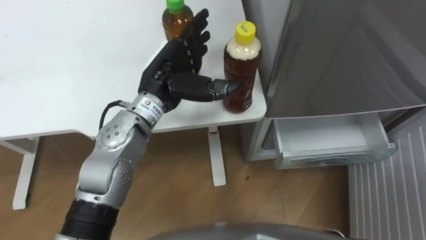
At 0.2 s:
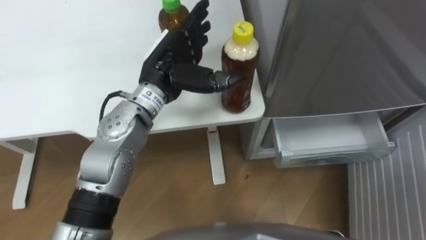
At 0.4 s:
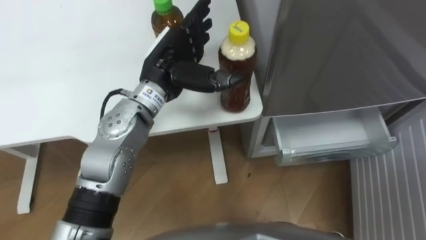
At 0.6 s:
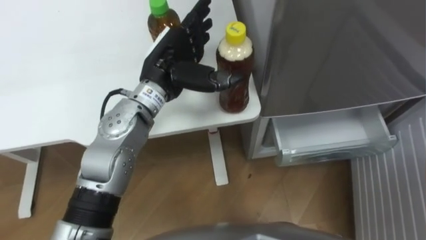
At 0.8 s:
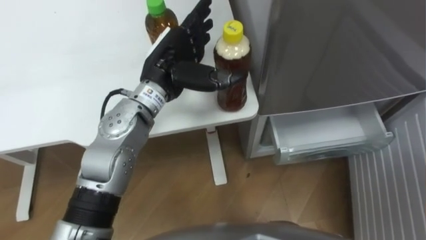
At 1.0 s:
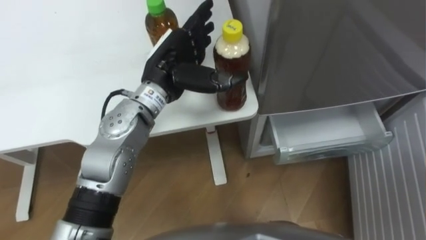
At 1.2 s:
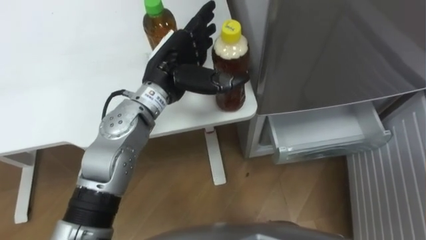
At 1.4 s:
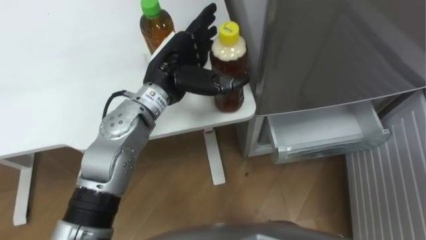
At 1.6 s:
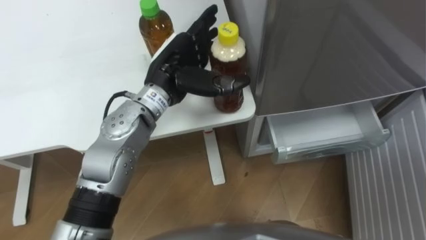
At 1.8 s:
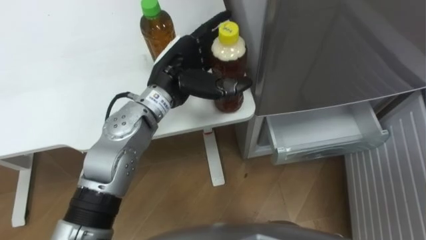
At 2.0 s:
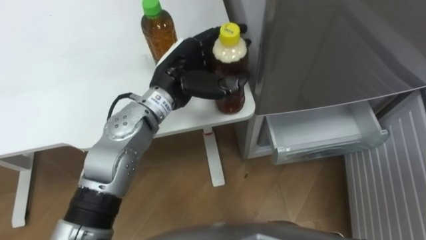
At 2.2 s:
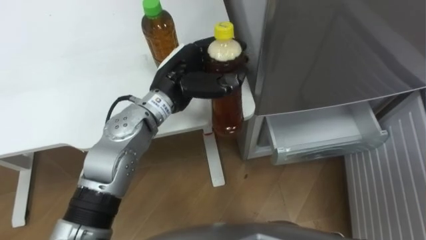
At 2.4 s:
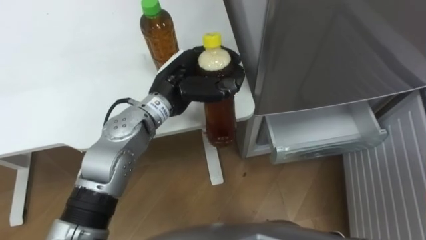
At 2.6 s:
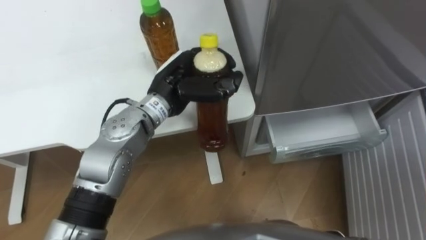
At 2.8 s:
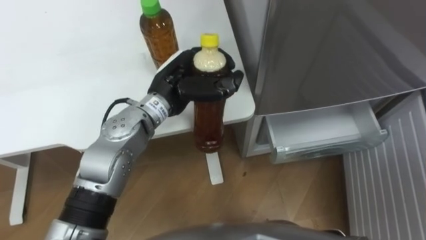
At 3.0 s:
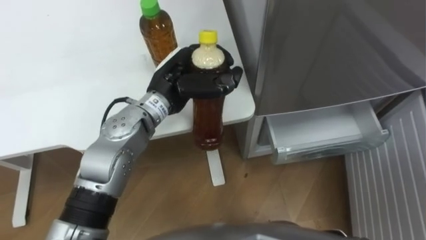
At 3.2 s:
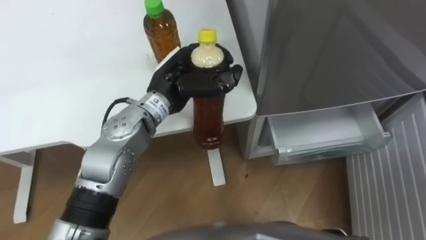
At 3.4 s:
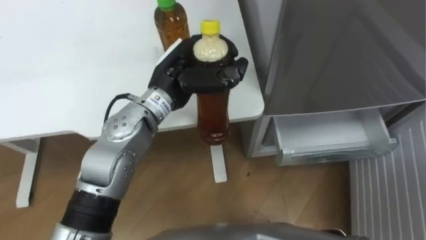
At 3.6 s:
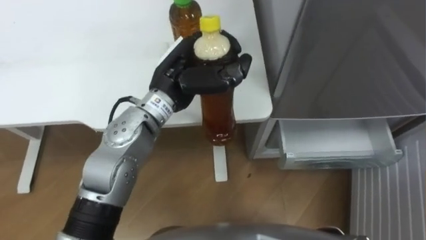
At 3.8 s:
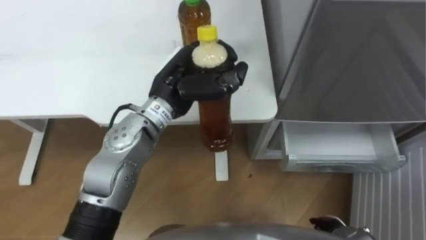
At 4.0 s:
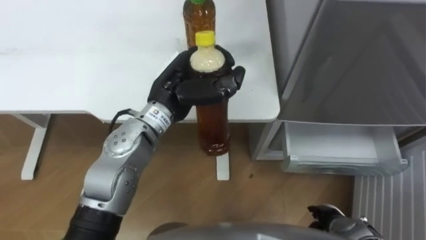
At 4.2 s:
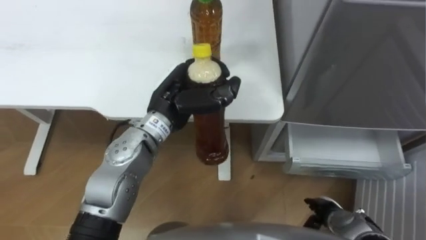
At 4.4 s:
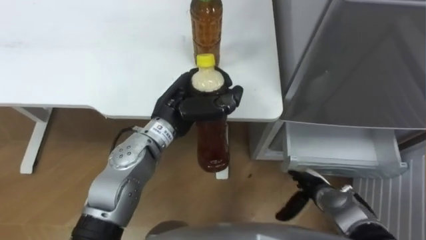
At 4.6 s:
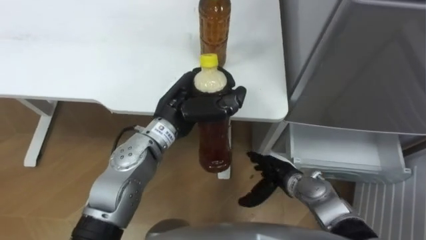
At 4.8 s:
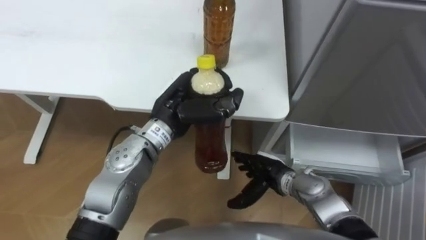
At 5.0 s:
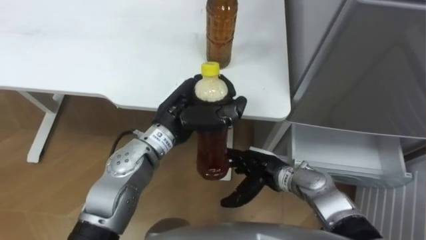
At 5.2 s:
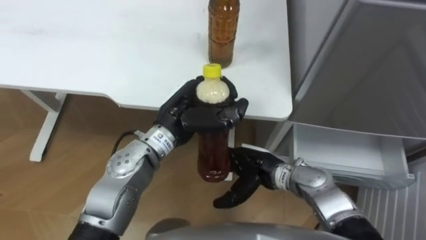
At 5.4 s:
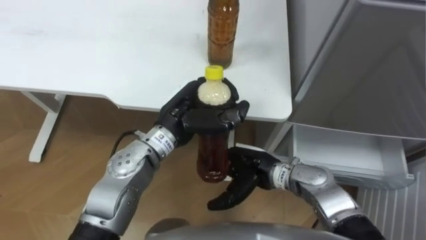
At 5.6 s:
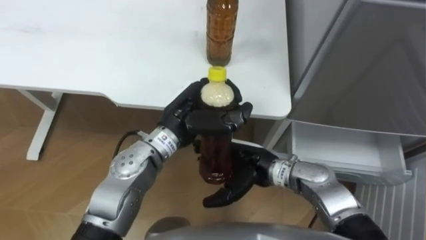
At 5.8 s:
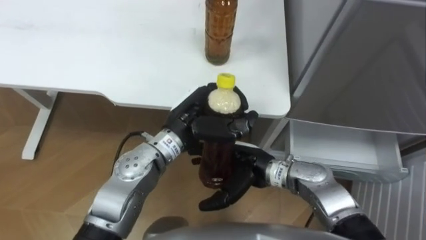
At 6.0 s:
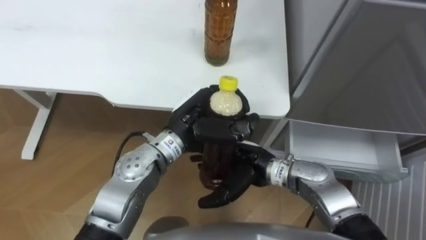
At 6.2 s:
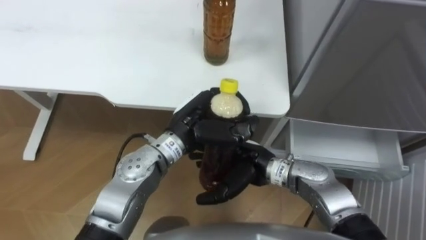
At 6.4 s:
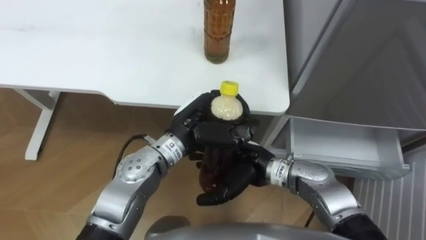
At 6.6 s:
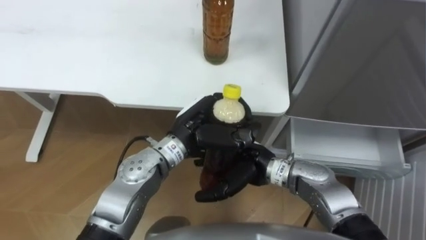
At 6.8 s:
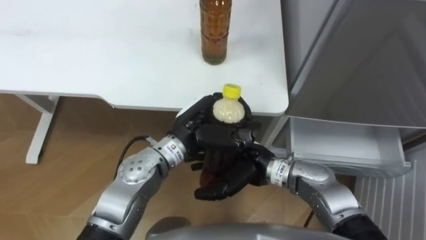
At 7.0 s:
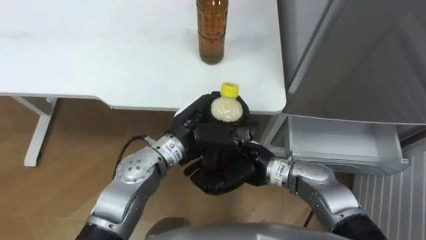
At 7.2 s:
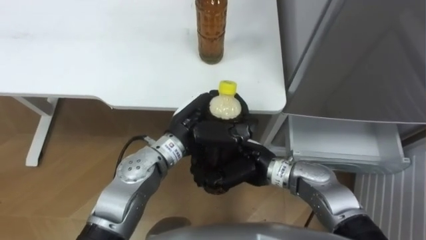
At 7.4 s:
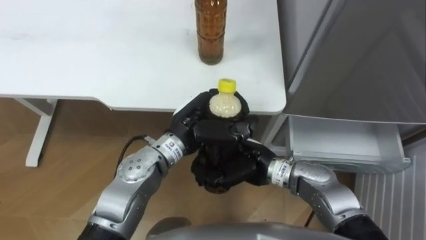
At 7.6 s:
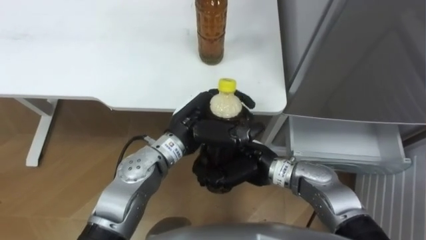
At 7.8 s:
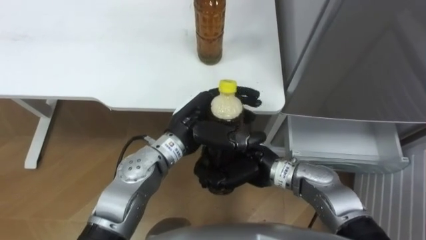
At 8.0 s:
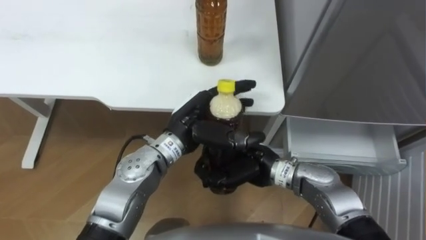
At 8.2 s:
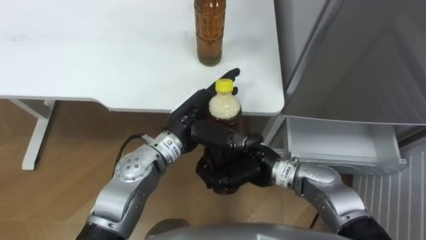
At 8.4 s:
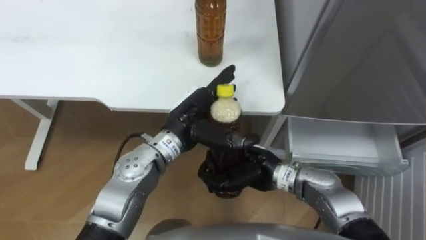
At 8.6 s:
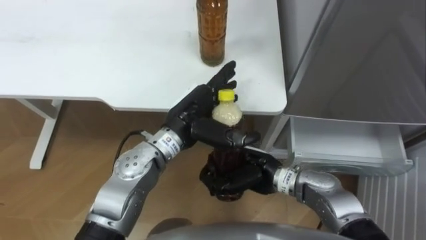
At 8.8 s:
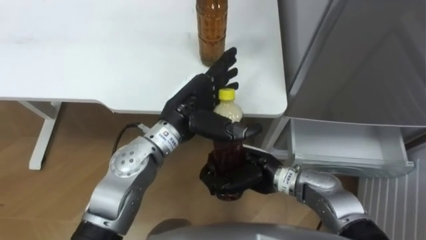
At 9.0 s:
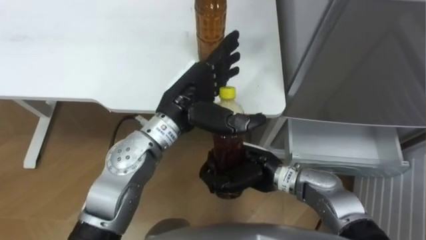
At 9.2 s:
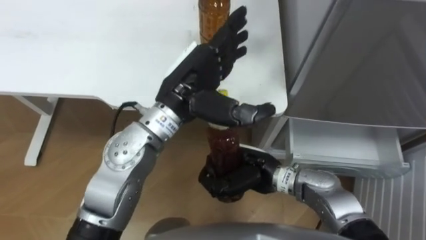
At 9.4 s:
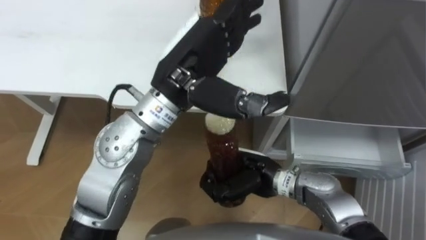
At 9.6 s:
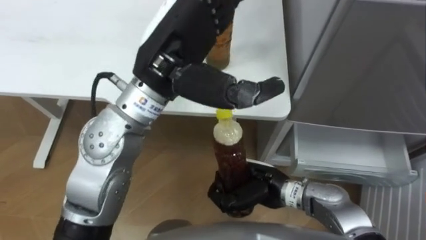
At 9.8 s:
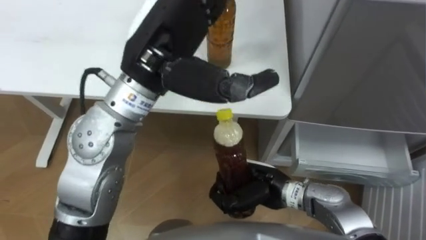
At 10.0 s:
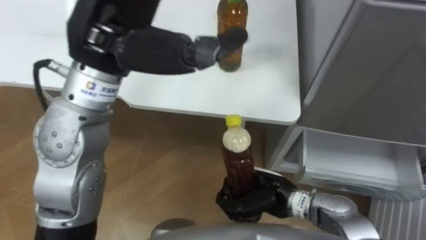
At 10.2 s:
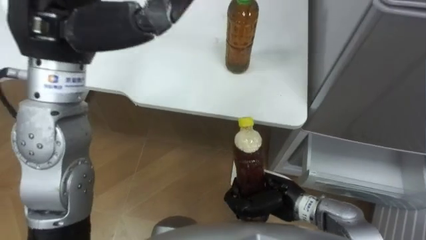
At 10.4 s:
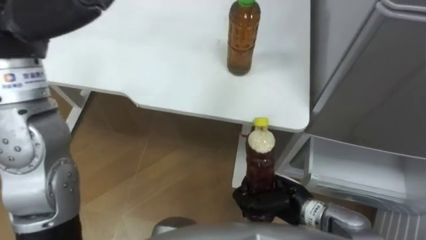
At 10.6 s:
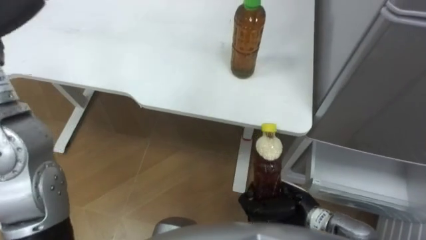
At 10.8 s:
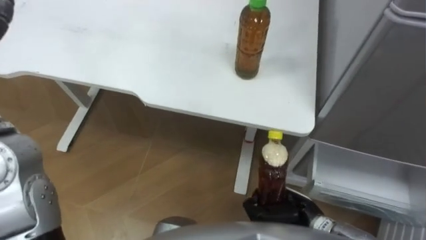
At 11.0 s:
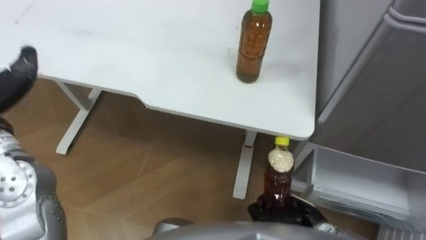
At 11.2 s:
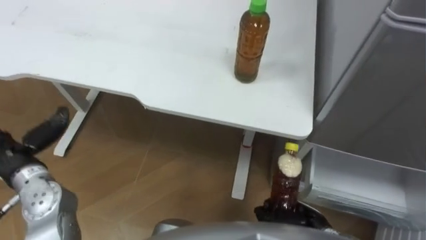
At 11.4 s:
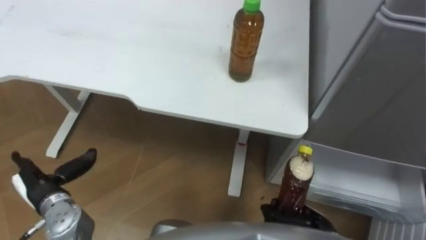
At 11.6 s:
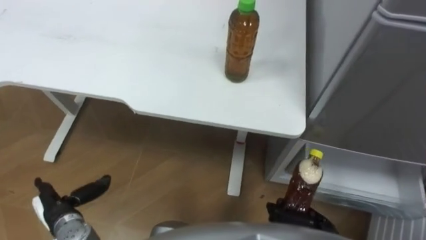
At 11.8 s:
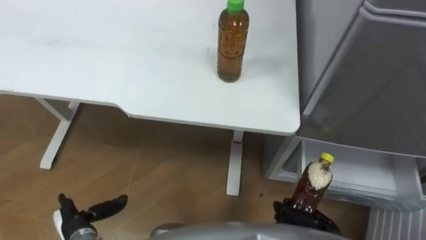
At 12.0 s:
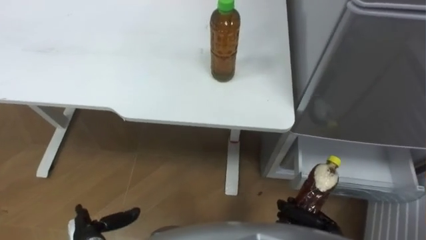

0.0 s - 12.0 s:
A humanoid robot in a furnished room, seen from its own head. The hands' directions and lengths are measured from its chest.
Task of the whole recording: Place the drink on the table on the bottom shelf of the refrigerator, then close the drawer and the refrigerator door.
1.6 s - 3.0 s: The left hand closes its fingers.
4.4 s - 6.0 s: The right hand goes roughly 20 cm to the left and upward.
6.0 s - 7.6 s: The right hand closes up.
7.6 s - 9.0 s: The left hand travels upward by about 5 cm, and opens.
9.0 s - 10.4 s: The right hand shifts about 10 cm to the right and downward.
10.4 s - 12.0 s: The right hand goes roughly 15 cm to the right, downward and backward.

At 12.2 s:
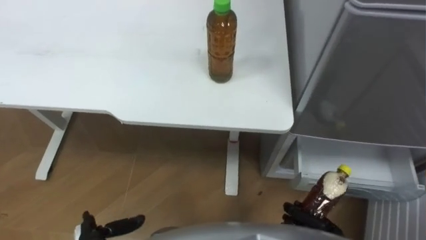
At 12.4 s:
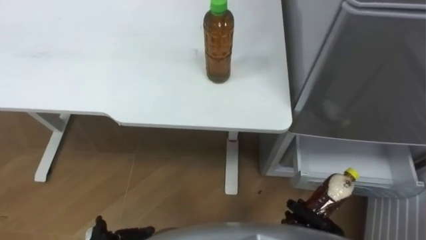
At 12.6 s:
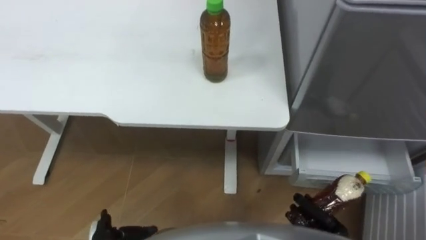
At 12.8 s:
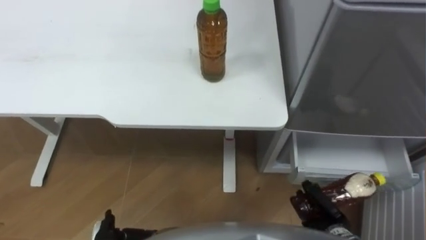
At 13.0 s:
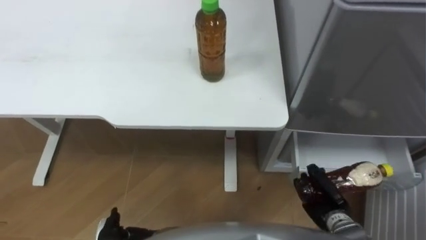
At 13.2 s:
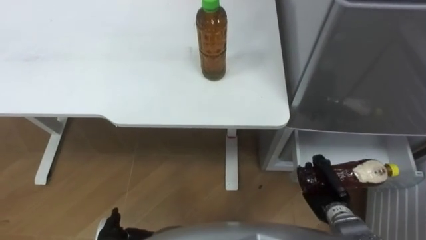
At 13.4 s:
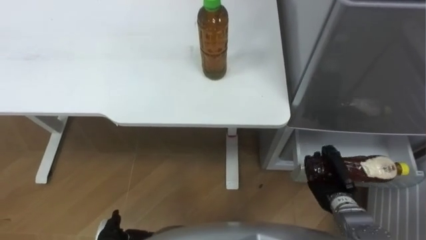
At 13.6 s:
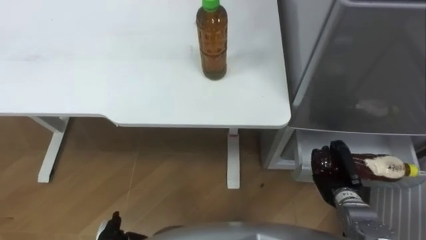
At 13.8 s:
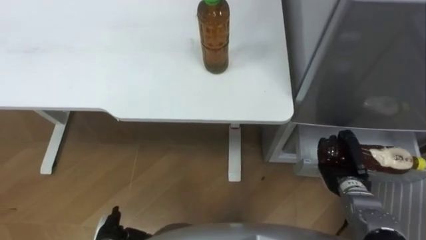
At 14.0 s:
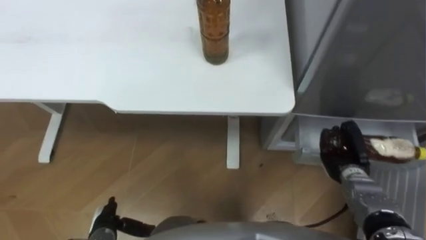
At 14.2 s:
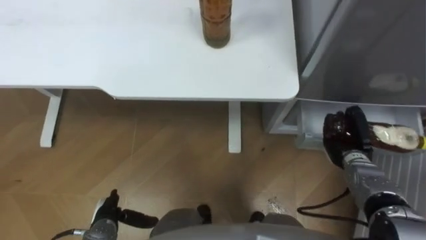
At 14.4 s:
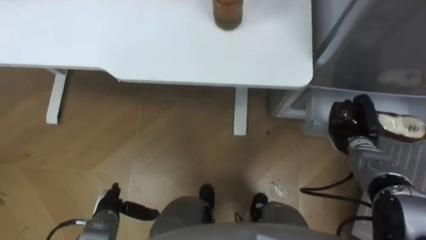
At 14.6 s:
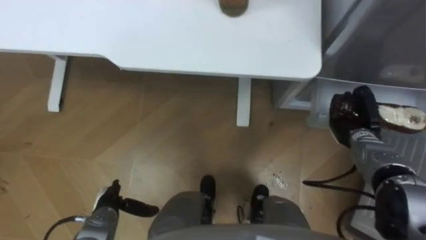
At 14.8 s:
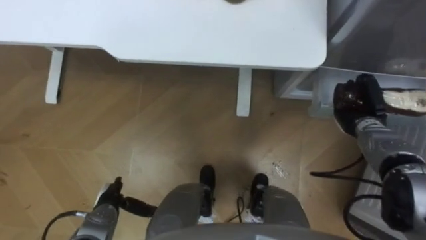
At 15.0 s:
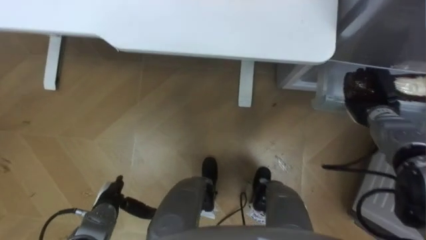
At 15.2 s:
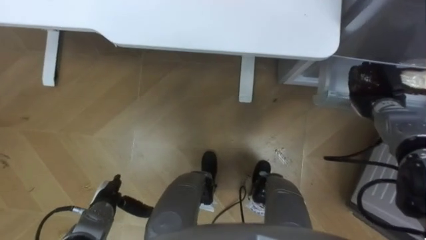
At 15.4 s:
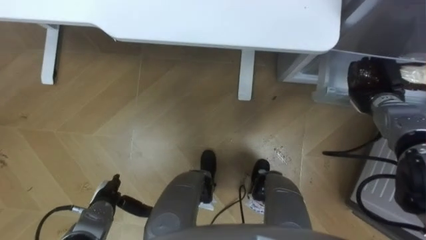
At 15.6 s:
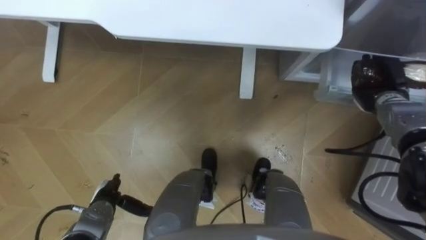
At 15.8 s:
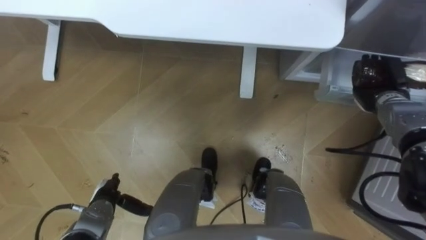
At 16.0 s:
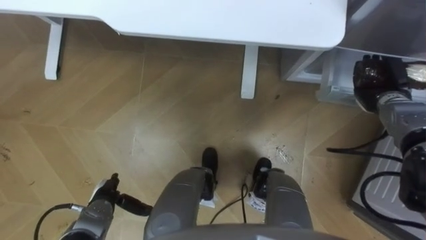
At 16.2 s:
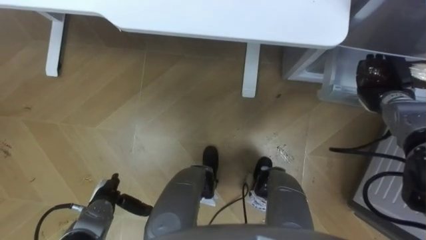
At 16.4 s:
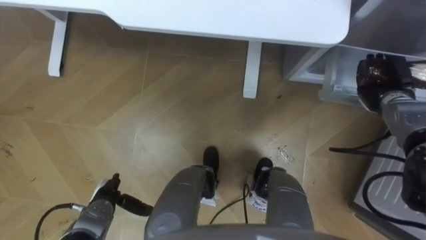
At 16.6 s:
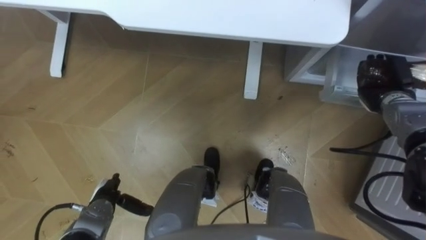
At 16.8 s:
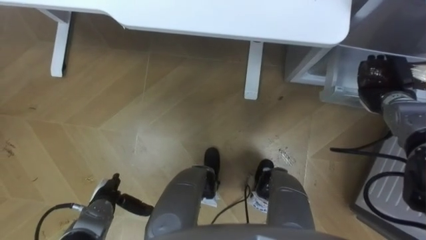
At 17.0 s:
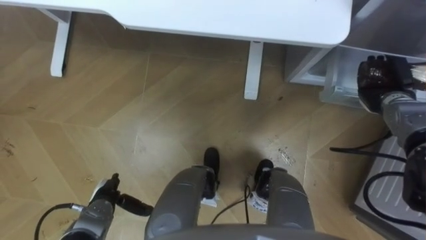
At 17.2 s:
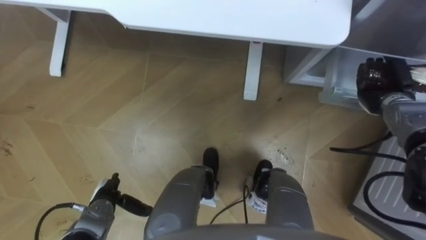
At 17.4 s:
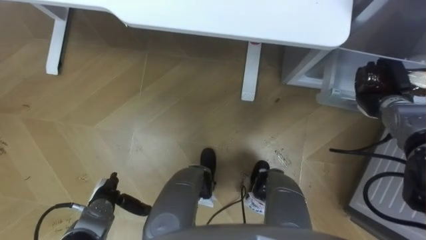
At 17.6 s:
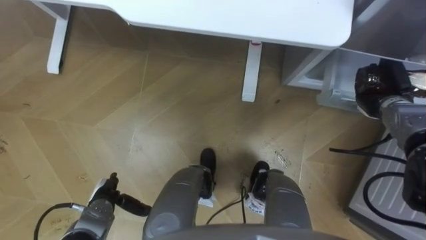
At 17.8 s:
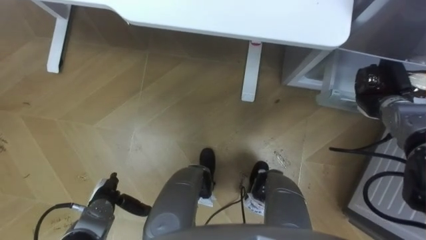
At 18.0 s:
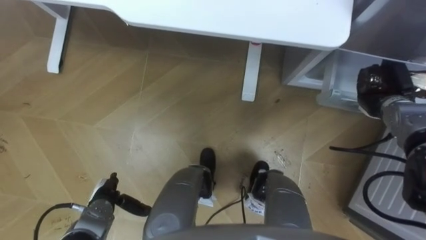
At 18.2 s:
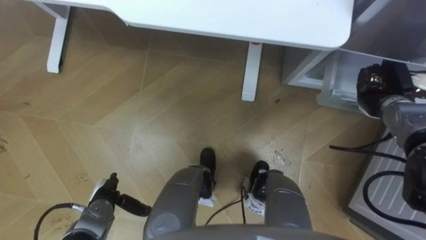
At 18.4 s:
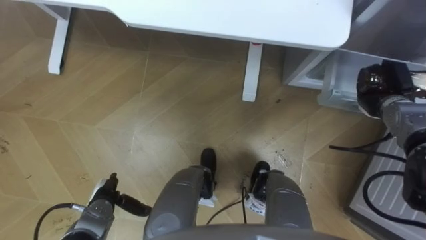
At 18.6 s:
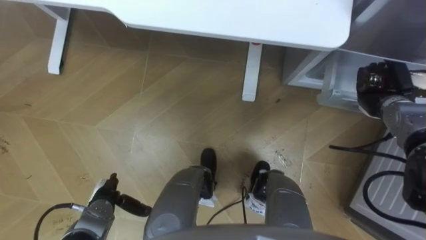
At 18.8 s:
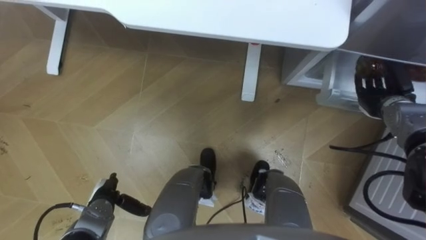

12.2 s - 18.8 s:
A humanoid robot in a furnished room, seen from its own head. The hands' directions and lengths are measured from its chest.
Task of the whole recording: Place the drink on the table on the bottom shelf of the refrigerator, then close the drawer and the refrigerator door.
12.2 s - 13.8 s: The right hand travels forward and to the right by approximately 15 cm.
13.8 s - 15.4 s: The right hand goes roughly 20 cm forward and upward. Meanwhile the left hand travels forward by approximately 5 cm.
17.2 s - 18.8 s: The right hand opens its fingers.
